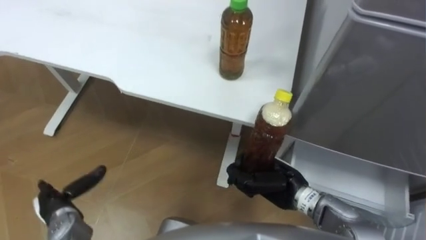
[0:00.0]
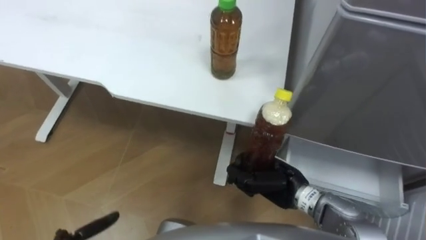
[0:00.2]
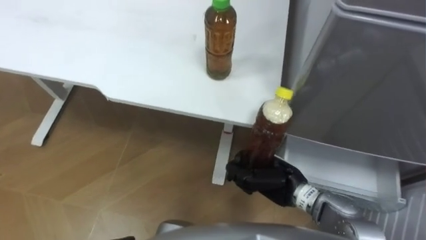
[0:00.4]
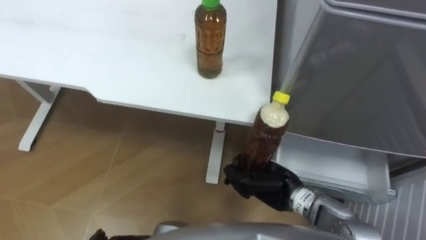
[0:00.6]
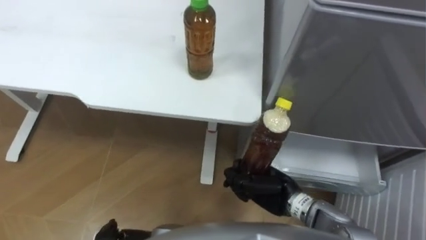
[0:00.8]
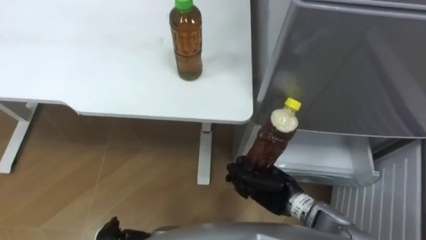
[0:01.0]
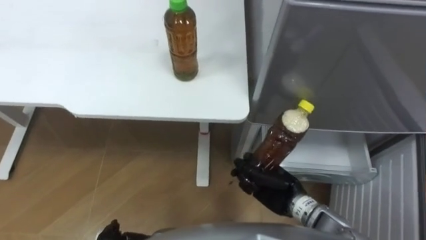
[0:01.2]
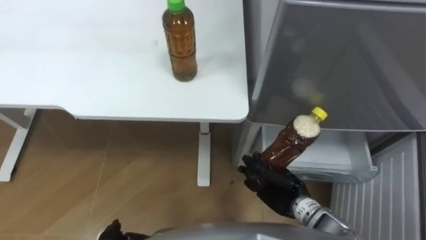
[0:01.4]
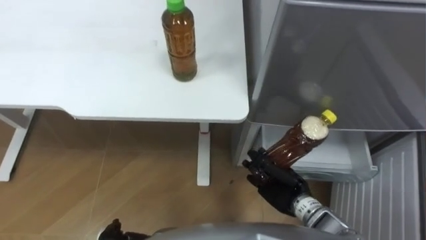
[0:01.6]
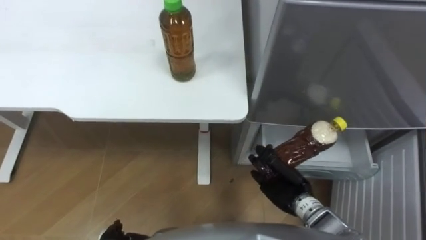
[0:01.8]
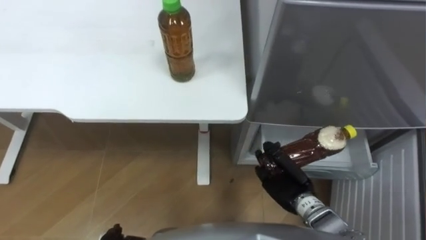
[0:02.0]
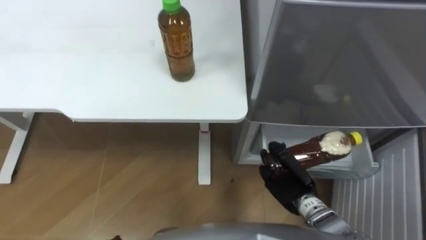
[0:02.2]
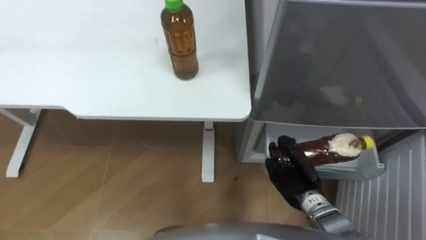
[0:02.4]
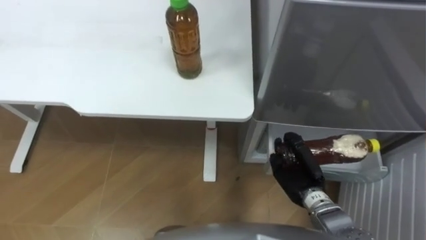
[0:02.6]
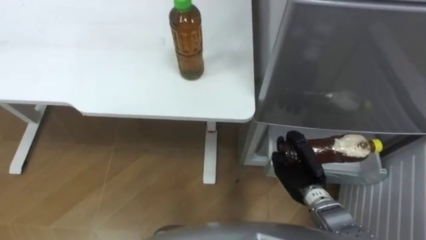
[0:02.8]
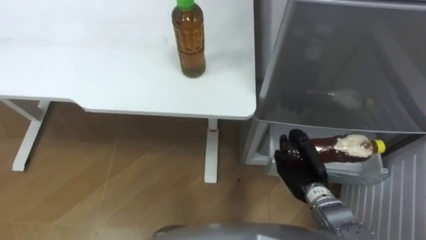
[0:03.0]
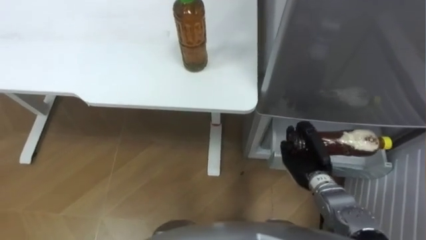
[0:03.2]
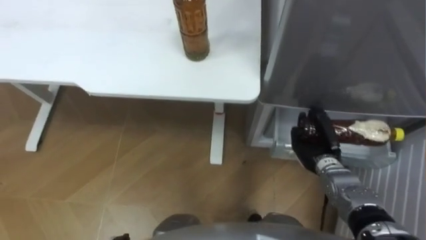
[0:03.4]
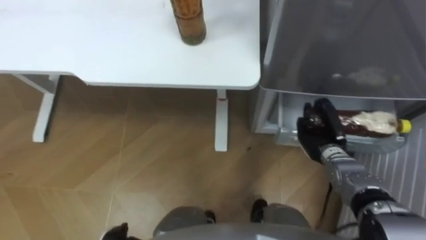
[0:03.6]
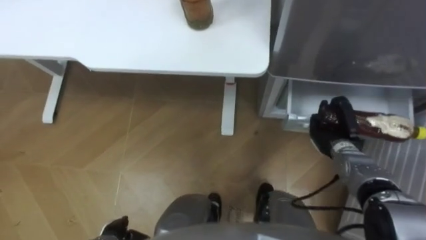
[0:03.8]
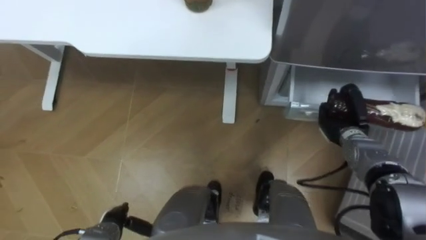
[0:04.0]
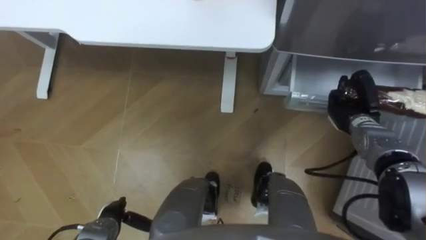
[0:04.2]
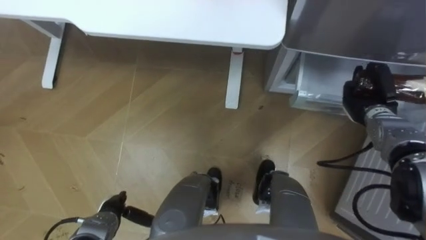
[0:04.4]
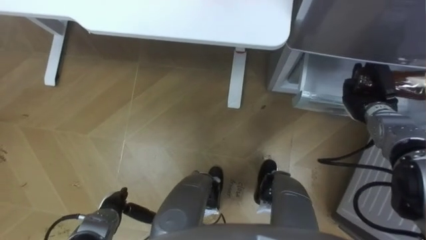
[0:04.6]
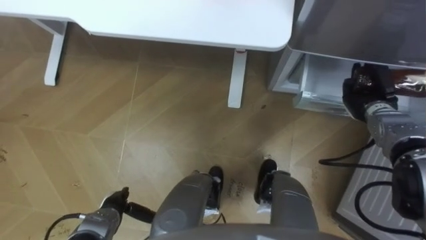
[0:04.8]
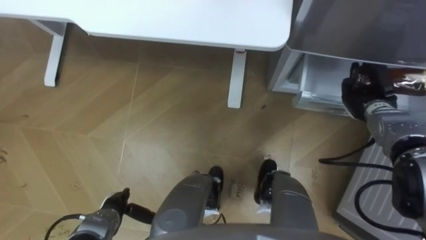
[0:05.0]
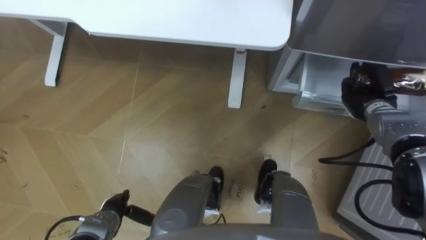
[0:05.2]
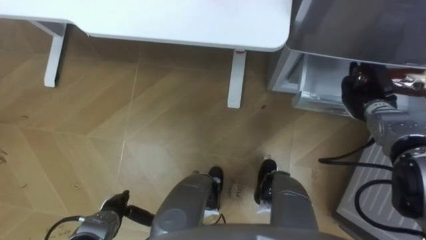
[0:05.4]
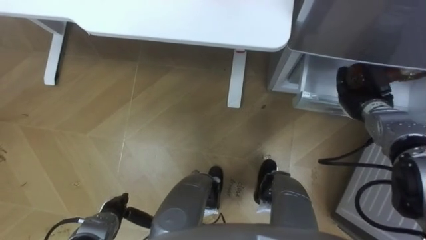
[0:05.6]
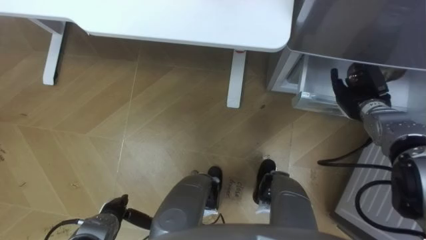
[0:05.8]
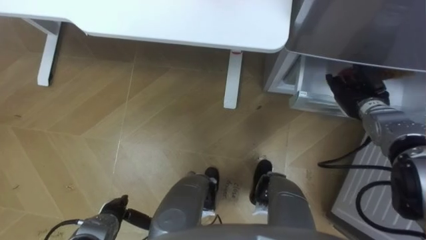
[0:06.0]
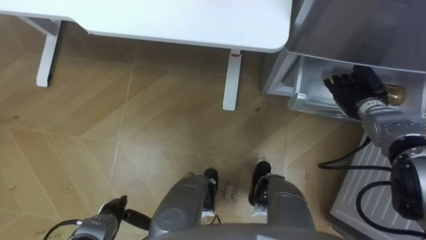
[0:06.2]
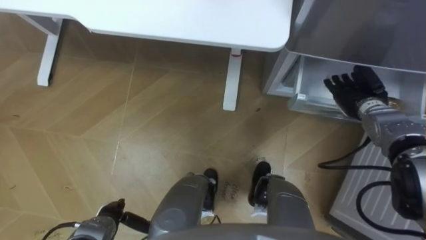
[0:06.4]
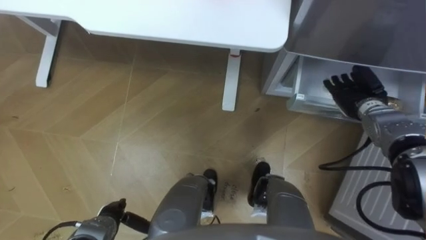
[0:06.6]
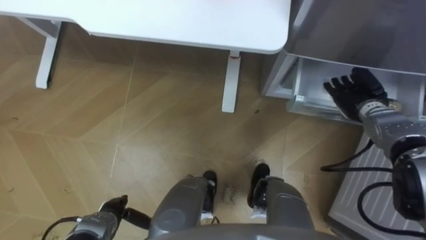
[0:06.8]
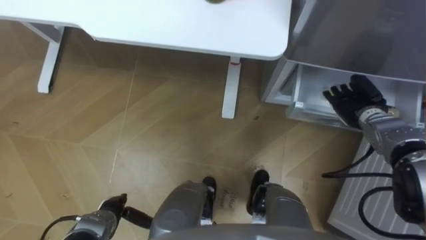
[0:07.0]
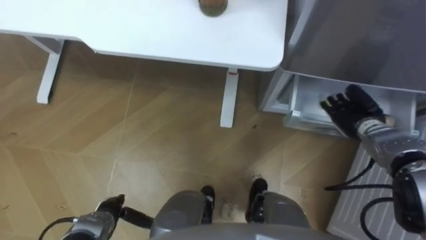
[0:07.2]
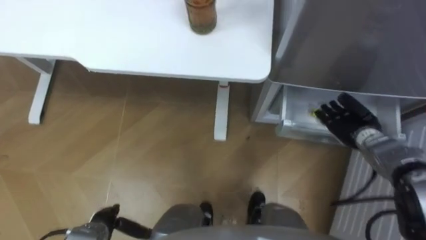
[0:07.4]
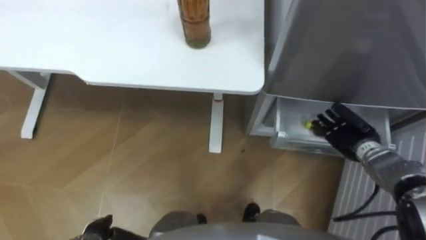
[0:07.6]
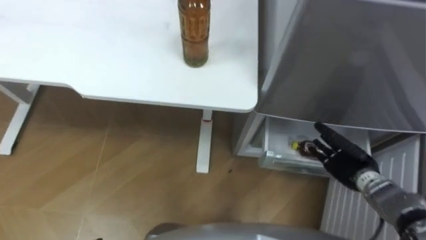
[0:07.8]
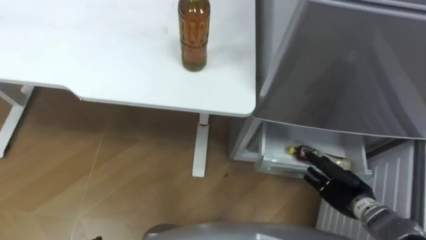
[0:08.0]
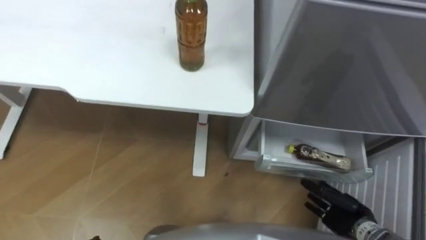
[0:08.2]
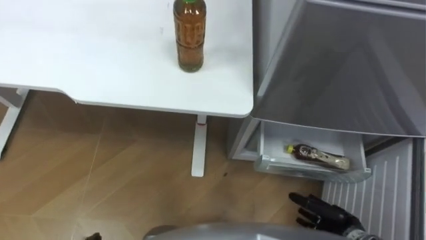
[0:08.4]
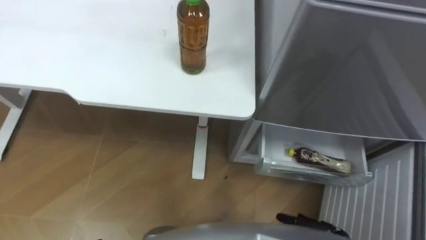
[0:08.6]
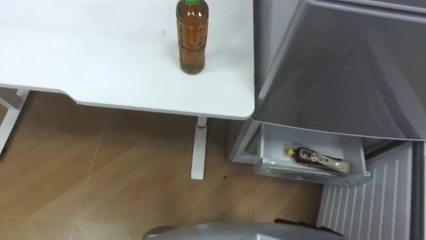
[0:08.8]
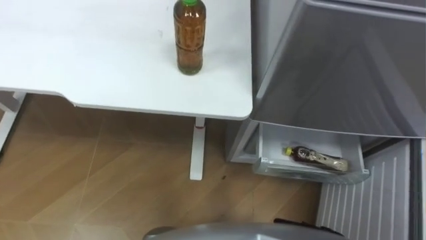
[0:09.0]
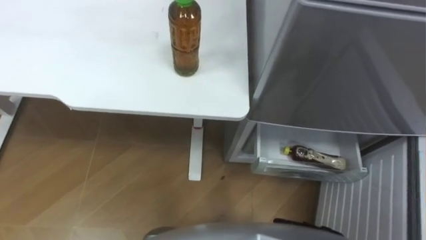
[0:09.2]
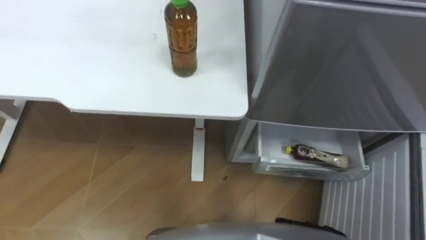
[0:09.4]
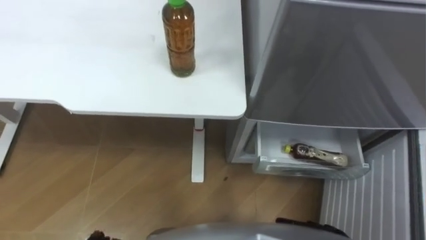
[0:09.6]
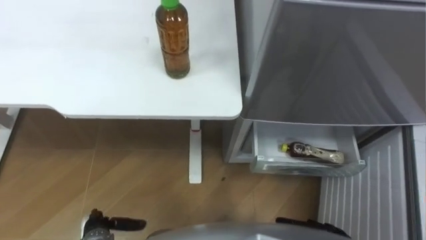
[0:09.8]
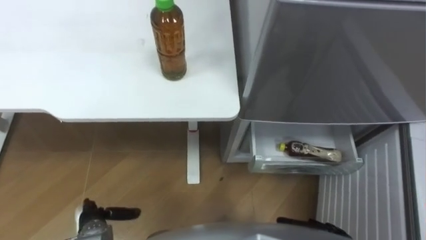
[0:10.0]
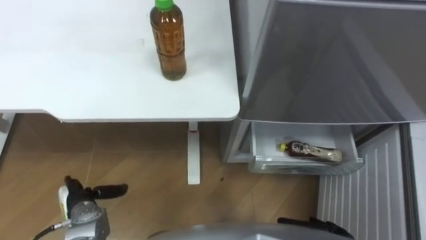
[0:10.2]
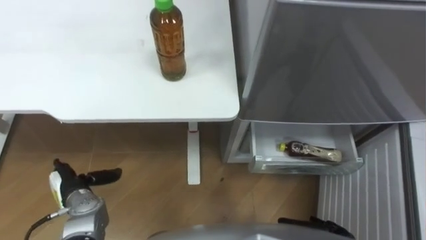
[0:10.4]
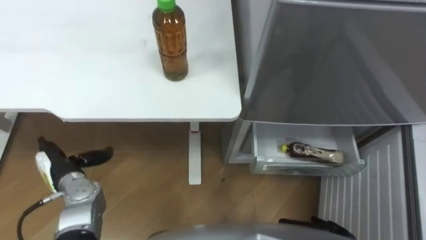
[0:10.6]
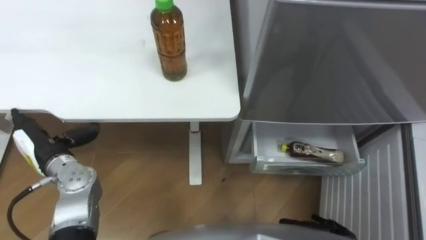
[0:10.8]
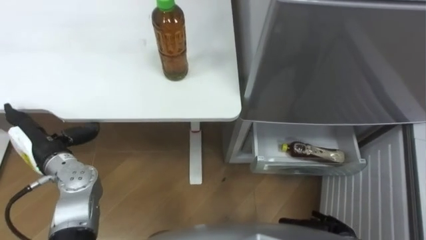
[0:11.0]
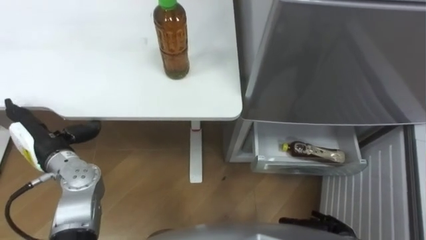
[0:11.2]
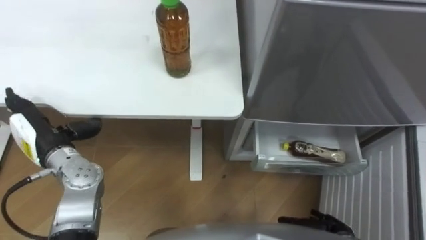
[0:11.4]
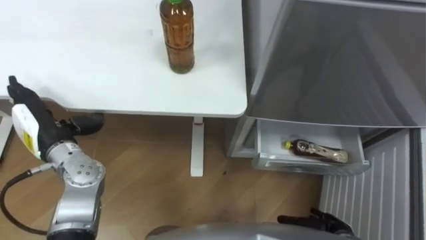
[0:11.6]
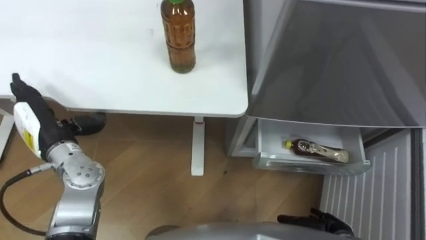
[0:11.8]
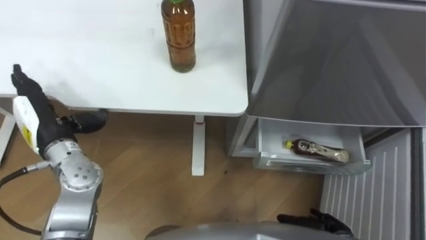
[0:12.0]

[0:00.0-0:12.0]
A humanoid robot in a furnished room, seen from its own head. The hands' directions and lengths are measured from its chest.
Task of the whole recording: Place the drink on the table on the bottom shelf of the refrigerator, then close the drawer and the refrigerator door.
0:01.6 to 0:03.0: The right hand moves some 5 cm.
0:03.0 to 0:04.4: The right hand shifts about 20 cm forward, to the right and upward.
0:04.4 to 0:06.0: The right hand opens up.
0:06.0 to 0:07.6: The right hand goes some 5 cm backward.
0:10.4 to 0:12.0: The left hand travels upward and forward by roughly 20 cm.

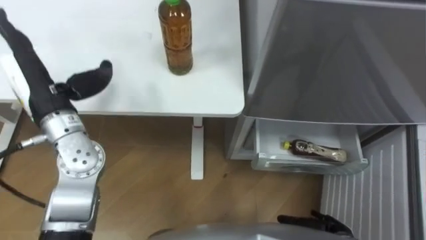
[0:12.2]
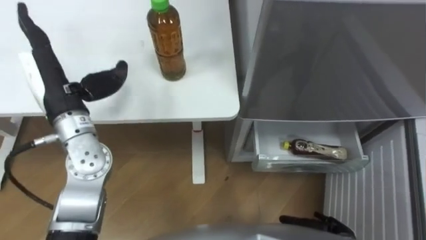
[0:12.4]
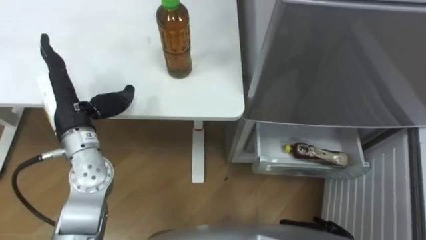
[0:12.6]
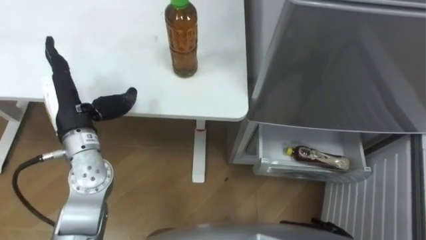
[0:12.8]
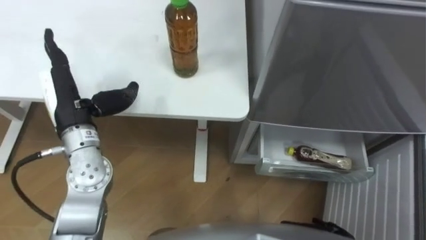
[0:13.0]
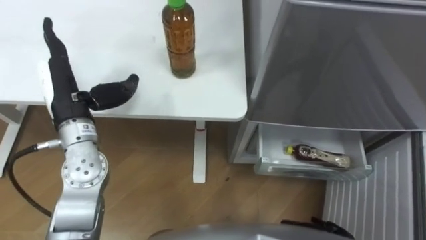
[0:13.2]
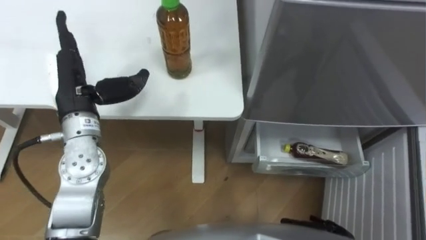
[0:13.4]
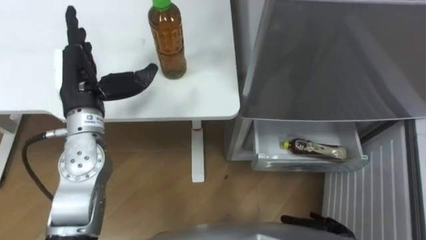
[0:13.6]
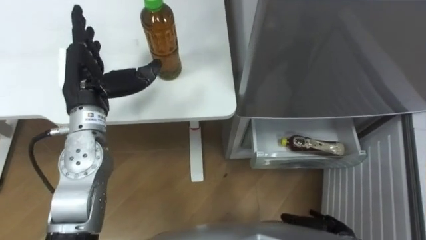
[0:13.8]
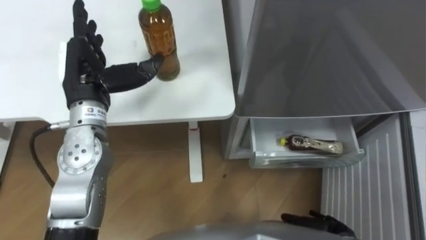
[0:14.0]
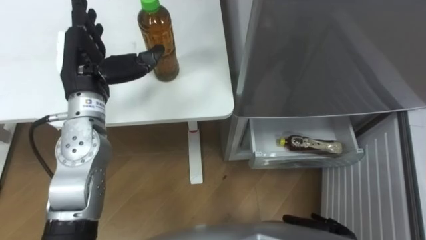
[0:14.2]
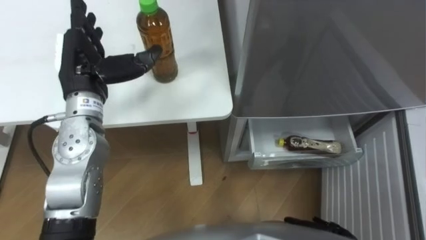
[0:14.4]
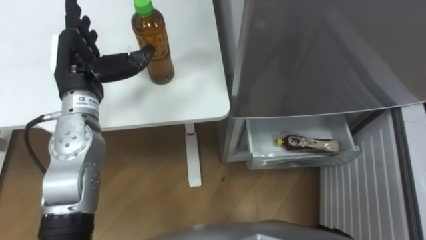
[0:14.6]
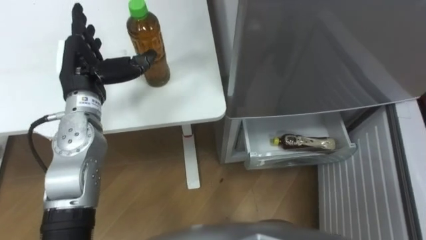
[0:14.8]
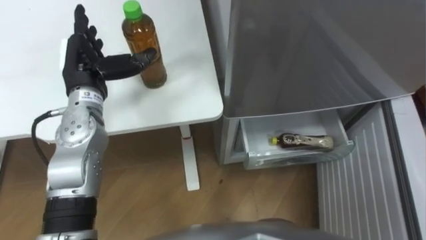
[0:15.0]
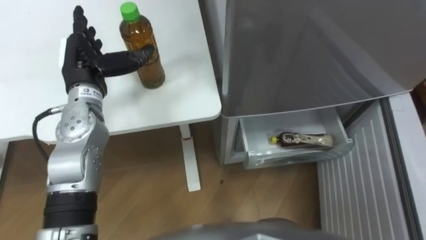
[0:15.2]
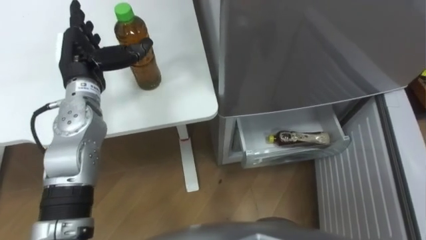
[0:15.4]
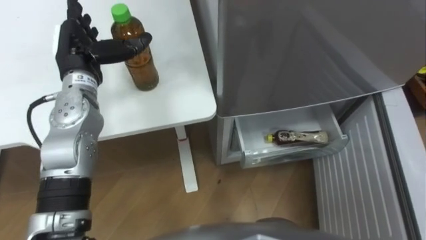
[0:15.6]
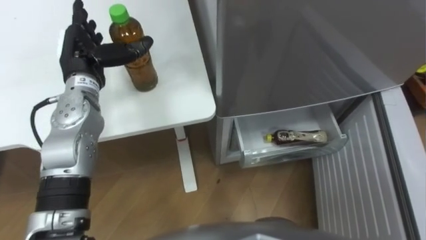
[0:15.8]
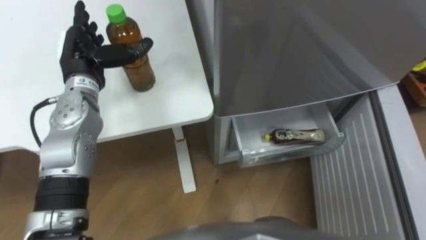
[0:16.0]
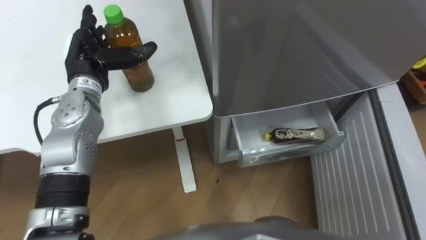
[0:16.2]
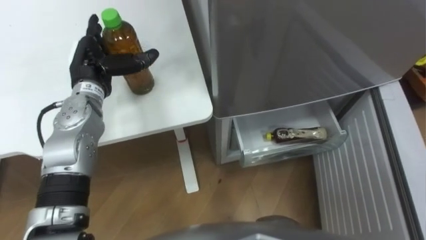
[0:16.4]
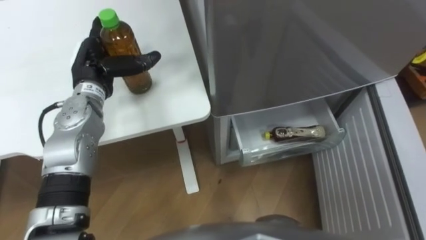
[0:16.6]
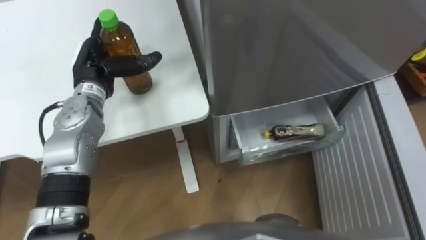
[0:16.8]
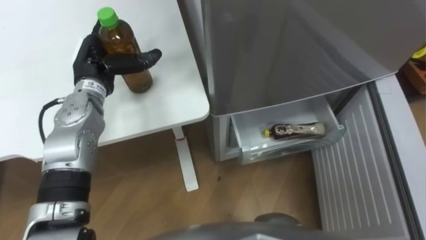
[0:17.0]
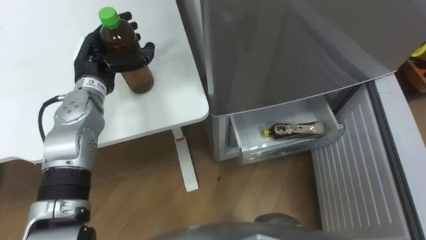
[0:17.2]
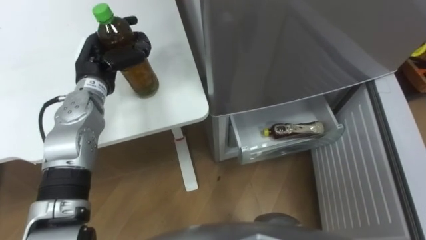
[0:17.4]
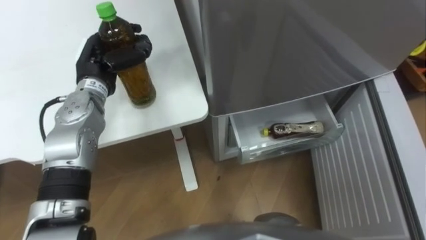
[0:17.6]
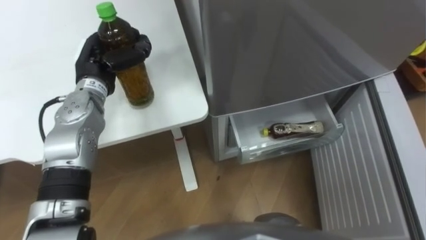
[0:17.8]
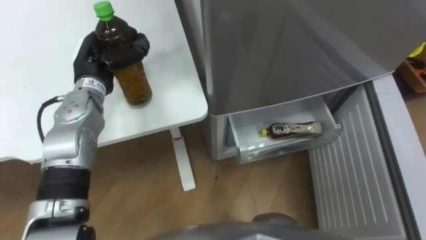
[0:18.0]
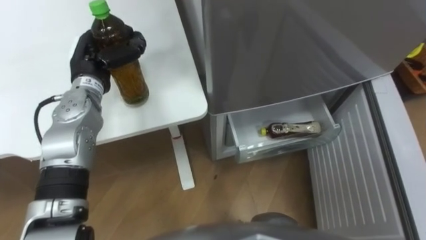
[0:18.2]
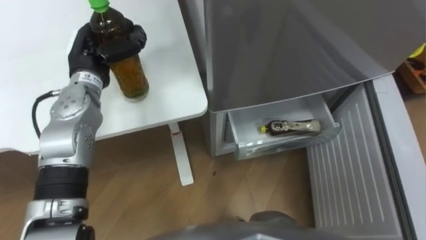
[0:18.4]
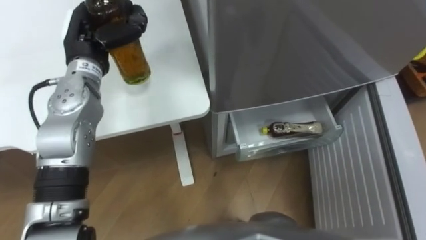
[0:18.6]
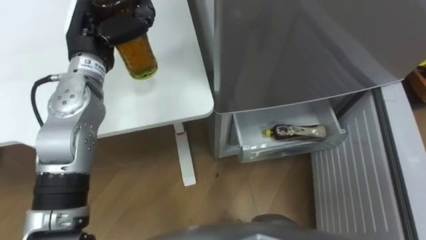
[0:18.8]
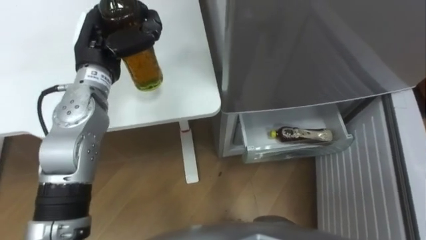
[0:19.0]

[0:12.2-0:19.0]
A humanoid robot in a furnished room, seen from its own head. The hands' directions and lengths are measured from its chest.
Task of the whole recording: Place the drink on the table on the bottom shelf of the refrigerator, then close the drawer and the refrigerator door.
0:12.2 to 0:13.6: The left hand moves roughly 5 cm.
0:16.2 to 0:17.6: The left hand closes up.
0:17.6 to 0:19.0: The left hand moves upward, roughly 5 cm.
